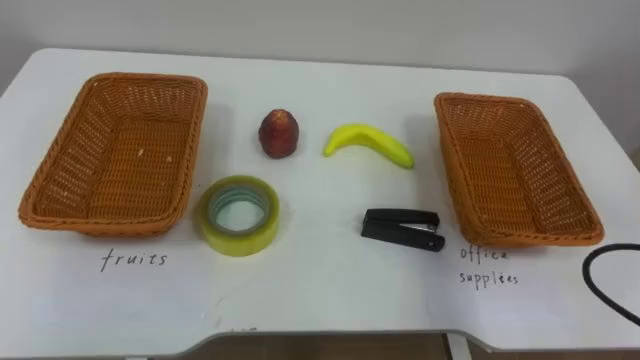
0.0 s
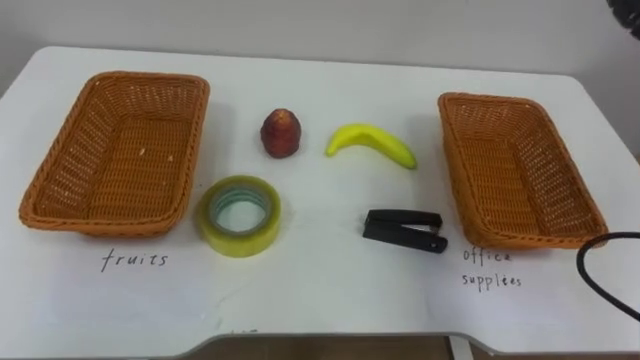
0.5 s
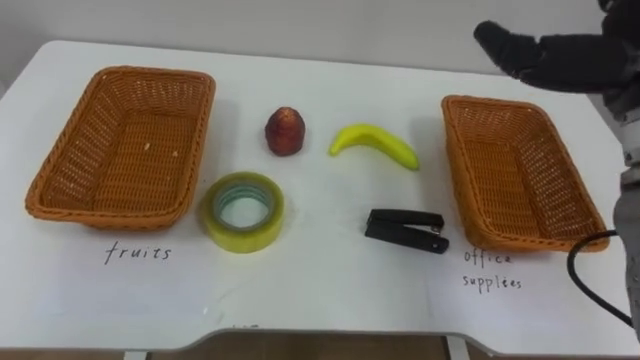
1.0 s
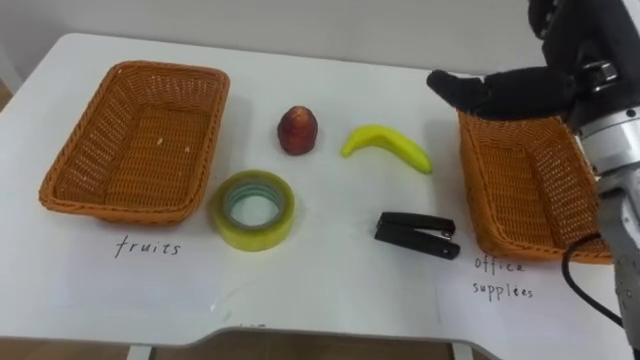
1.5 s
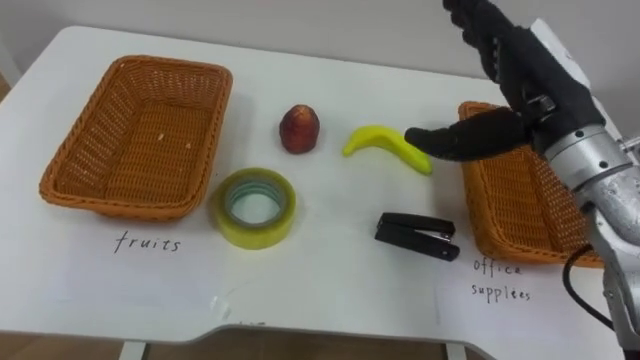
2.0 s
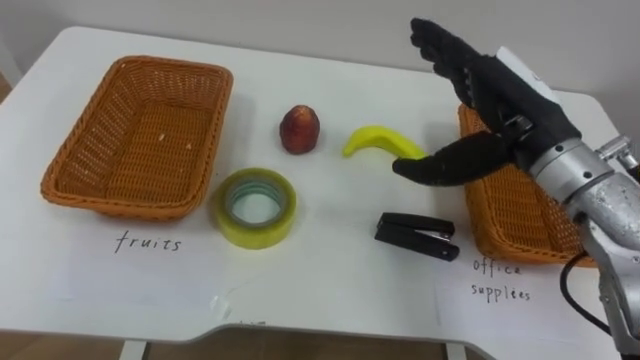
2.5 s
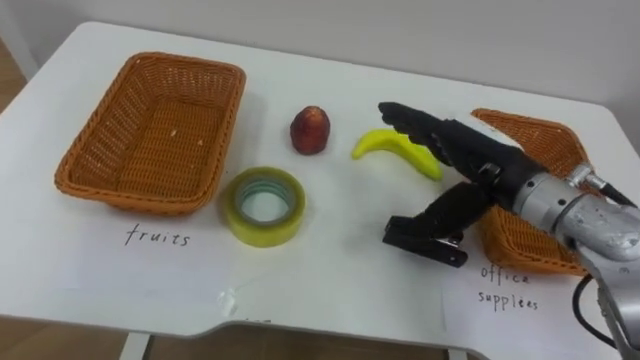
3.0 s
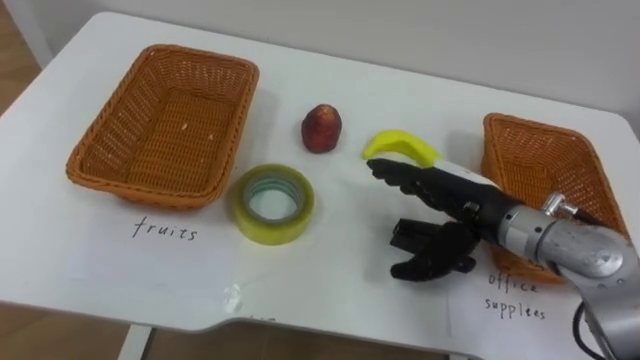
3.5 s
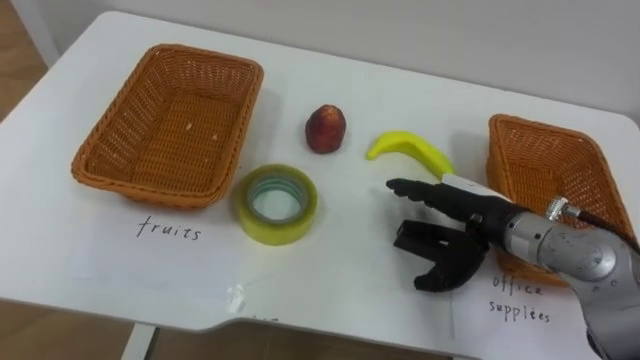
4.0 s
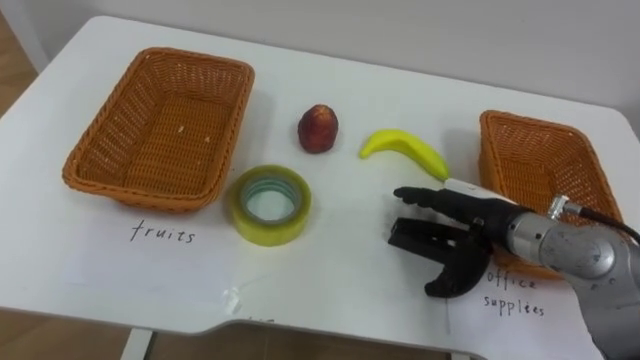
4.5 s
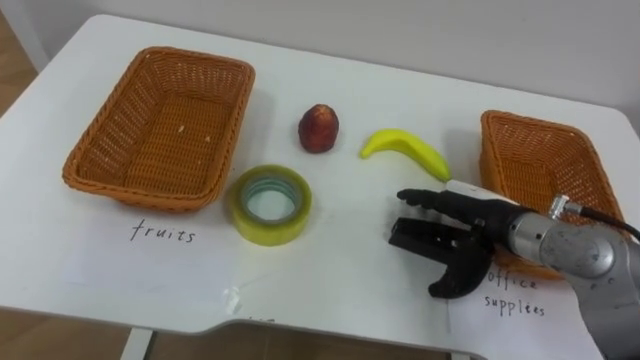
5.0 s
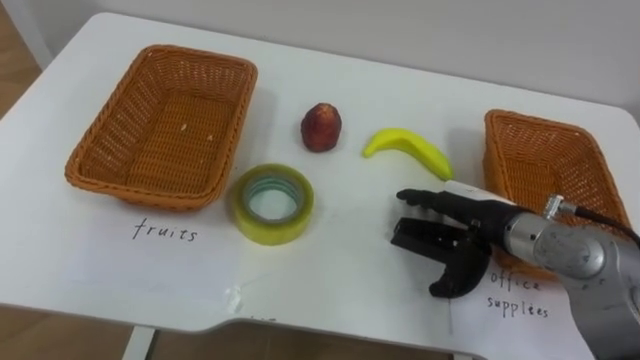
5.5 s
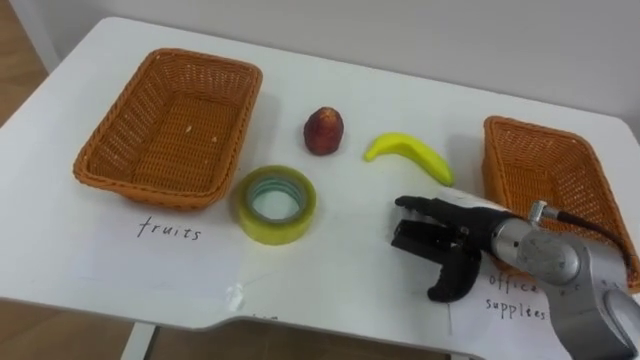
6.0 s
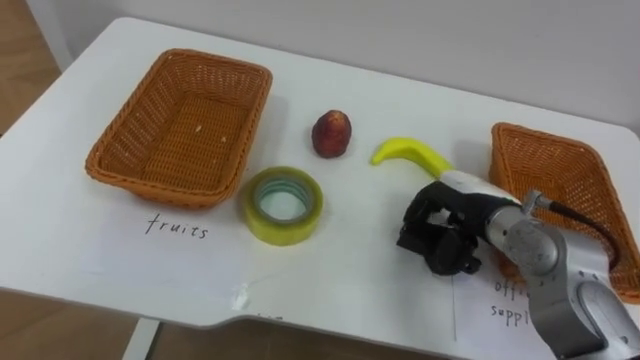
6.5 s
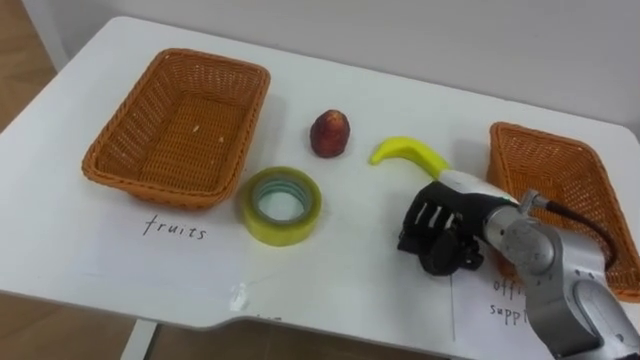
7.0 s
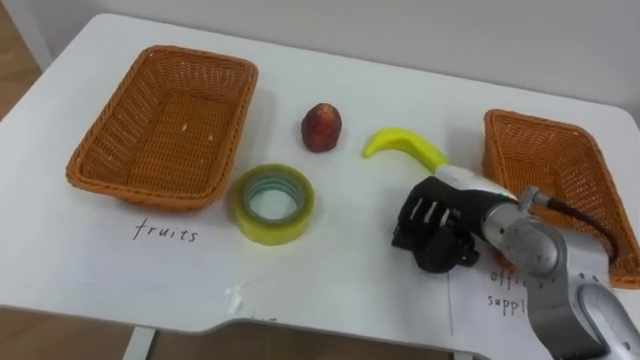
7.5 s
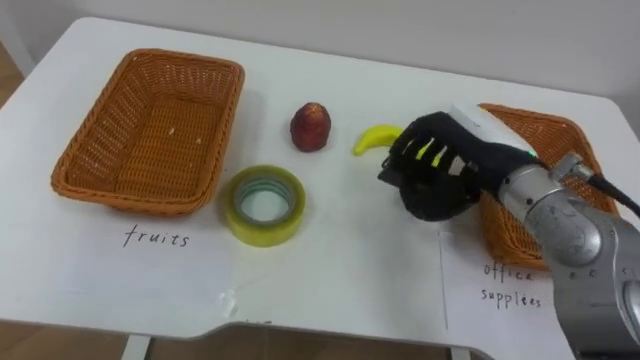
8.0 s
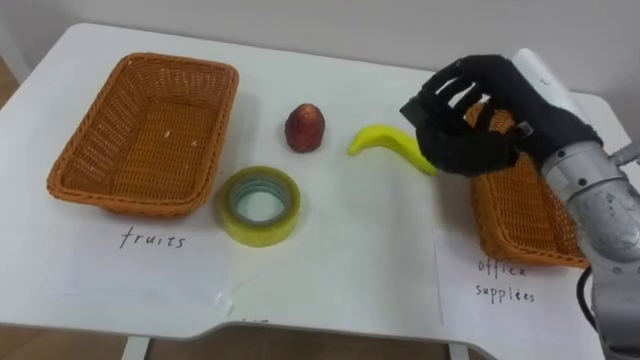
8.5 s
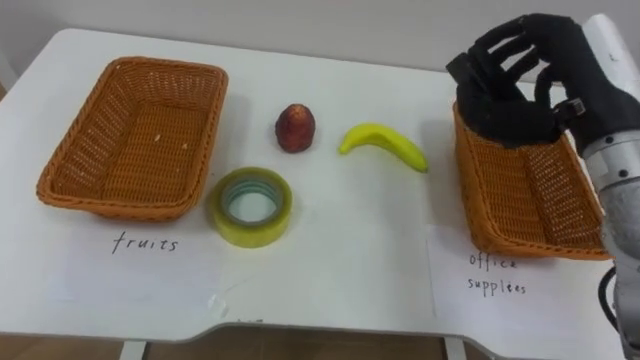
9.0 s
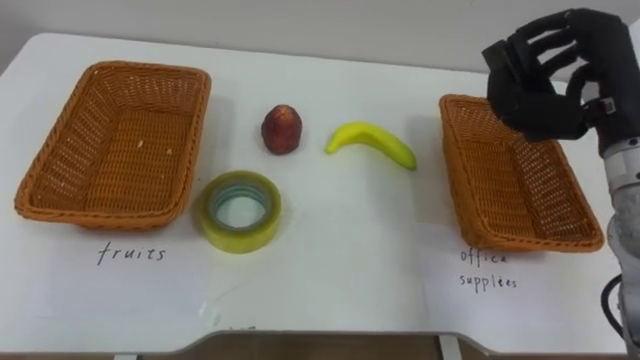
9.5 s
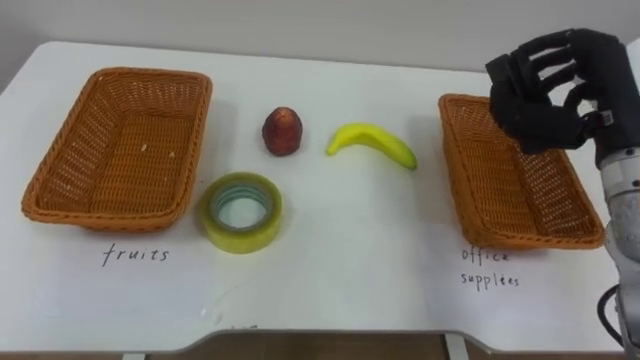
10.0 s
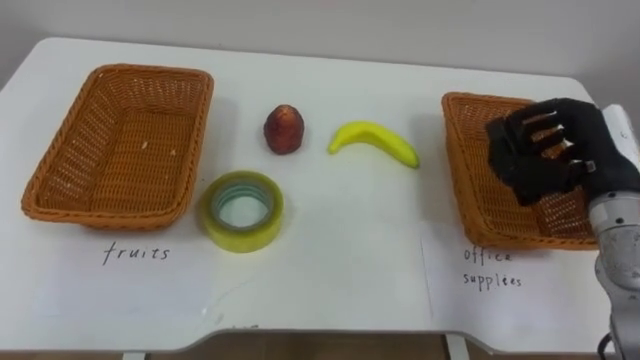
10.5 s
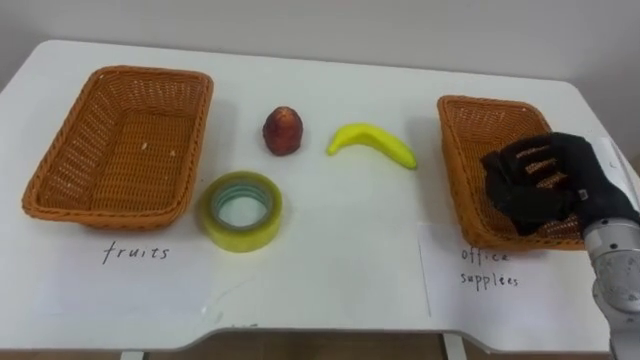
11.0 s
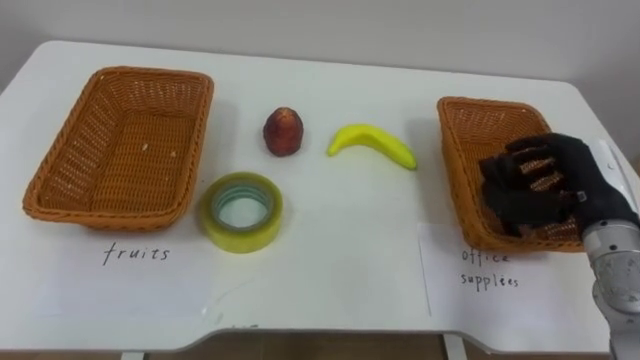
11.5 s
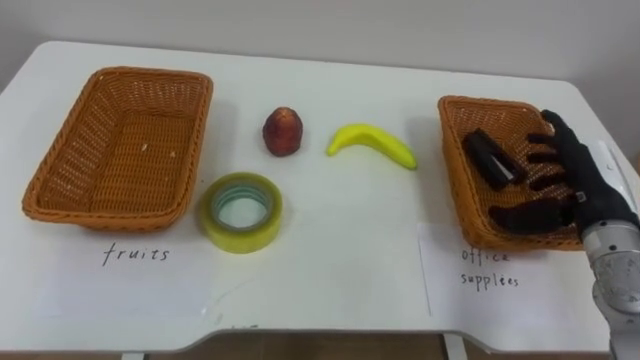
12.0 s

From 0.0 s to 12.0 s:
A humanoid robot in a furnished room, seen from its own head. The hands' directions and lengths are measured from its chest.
Task of the whole recording: Separate the items on the table and place them into the two baskets.
From 2.0 s to 4.0 s: The right hand is displaced downward by roughly 15 cm.
From 6.0 s to 8.0 s: The right hand travels upward by approximately 10 cm, and closes its fingers.
From 8.0 s to 10.0 s: The right hand is displaced to the right and upward by roughly 10 cm.
From 10.0 s to 12.0 s: The right hand goes some 10 cm downward, and opens its fingers.

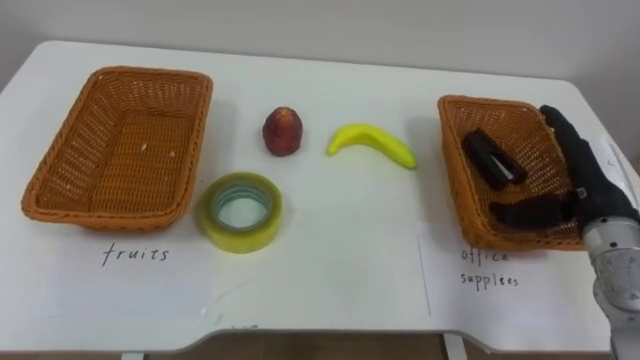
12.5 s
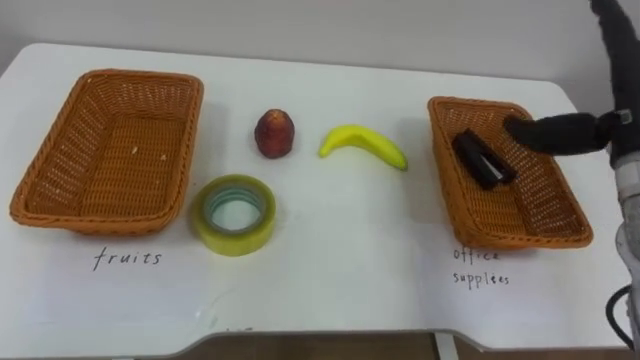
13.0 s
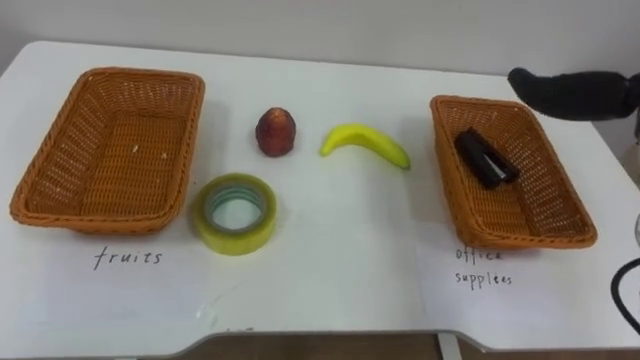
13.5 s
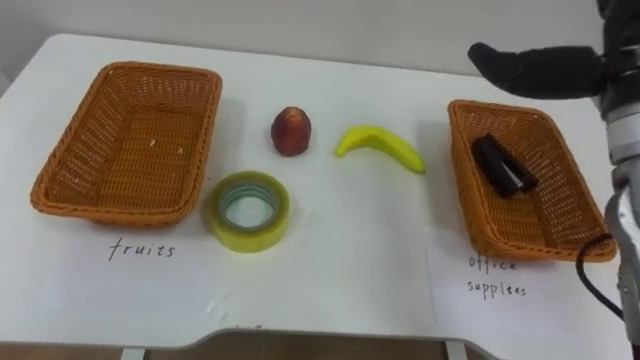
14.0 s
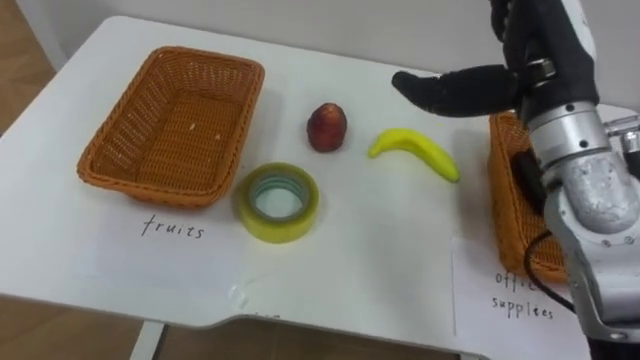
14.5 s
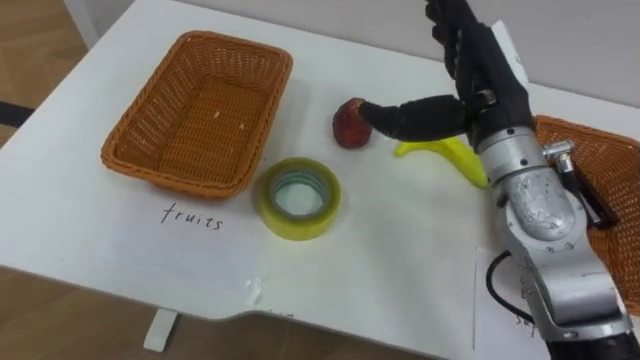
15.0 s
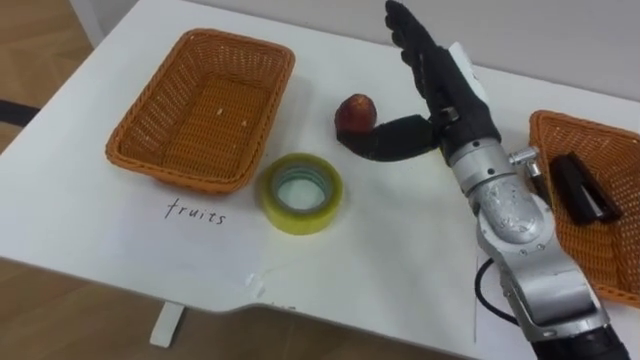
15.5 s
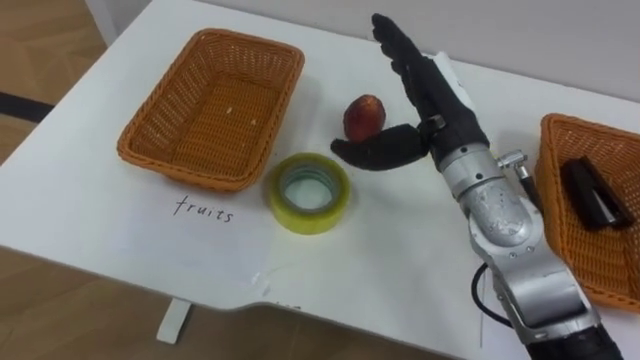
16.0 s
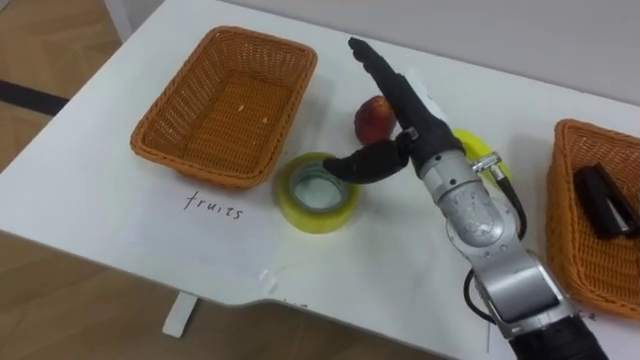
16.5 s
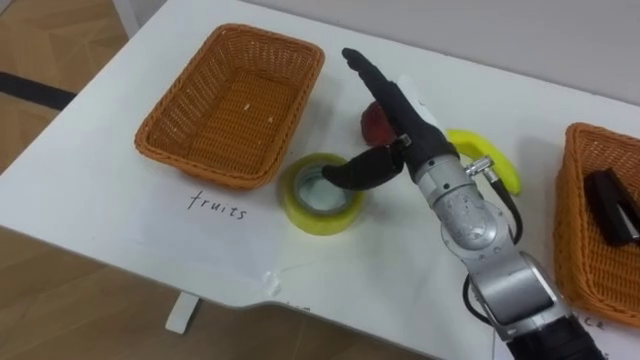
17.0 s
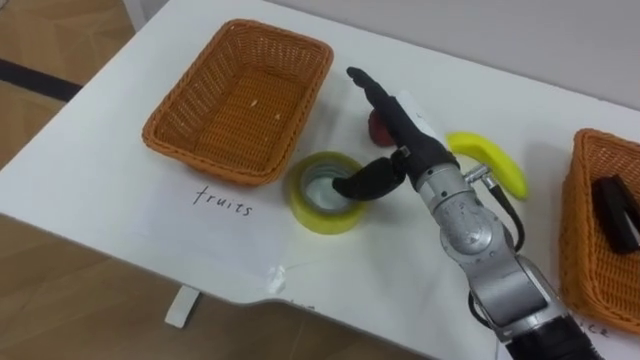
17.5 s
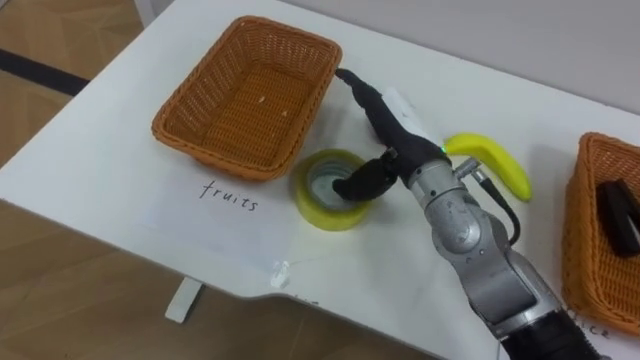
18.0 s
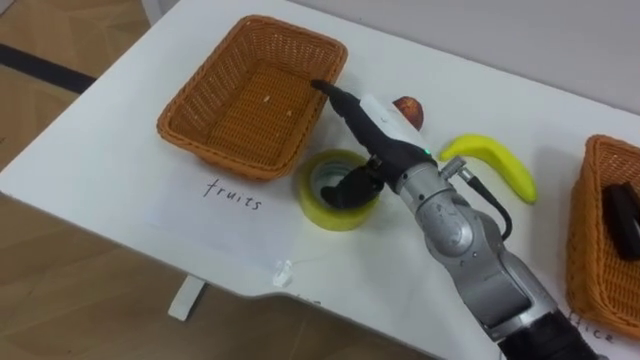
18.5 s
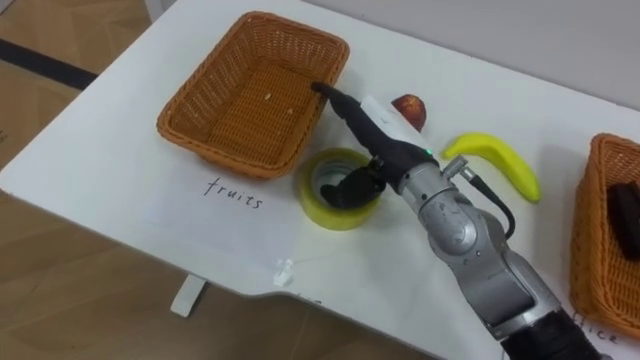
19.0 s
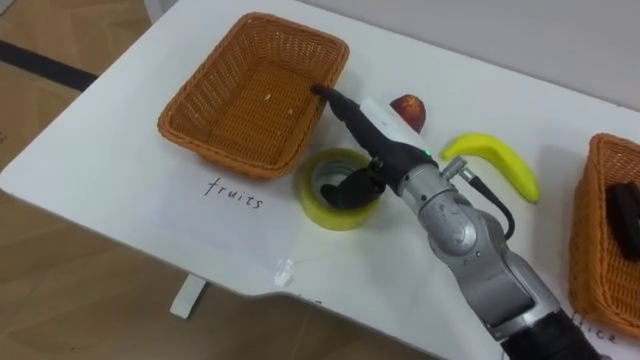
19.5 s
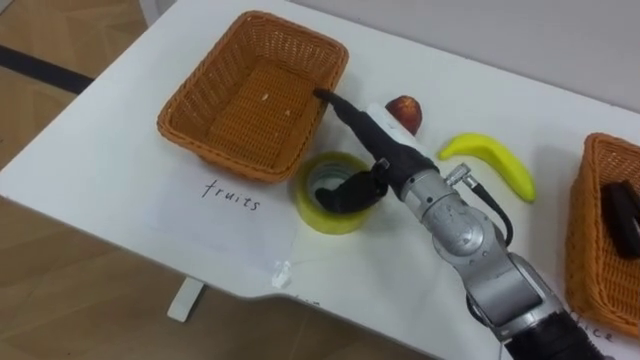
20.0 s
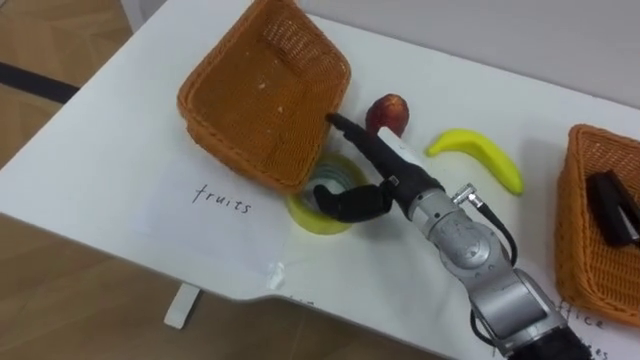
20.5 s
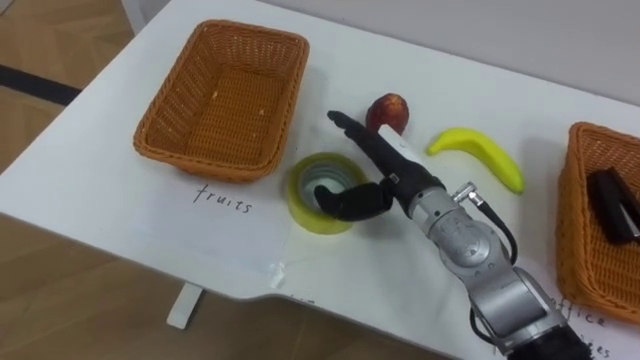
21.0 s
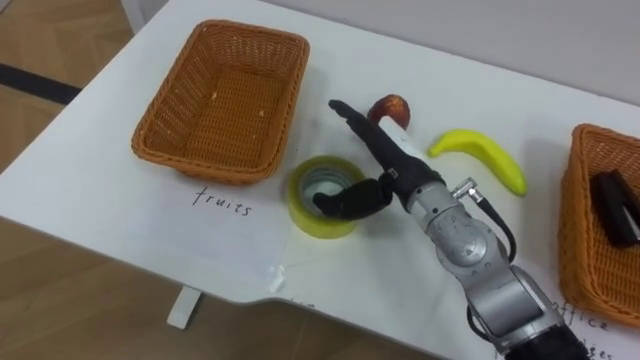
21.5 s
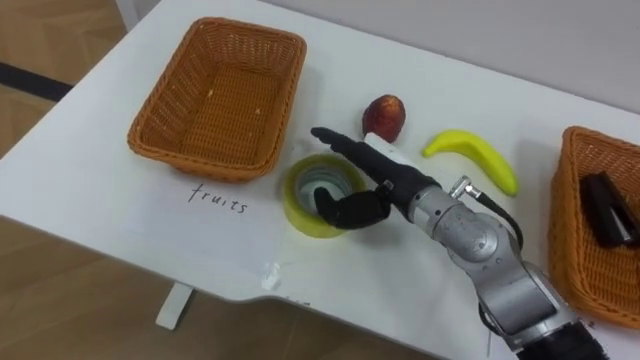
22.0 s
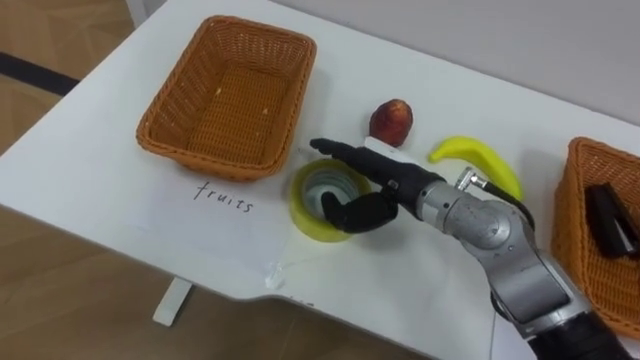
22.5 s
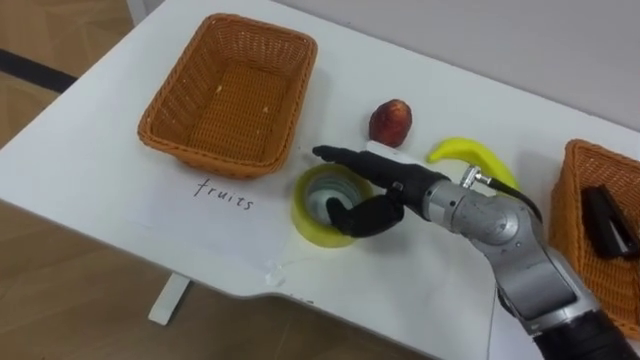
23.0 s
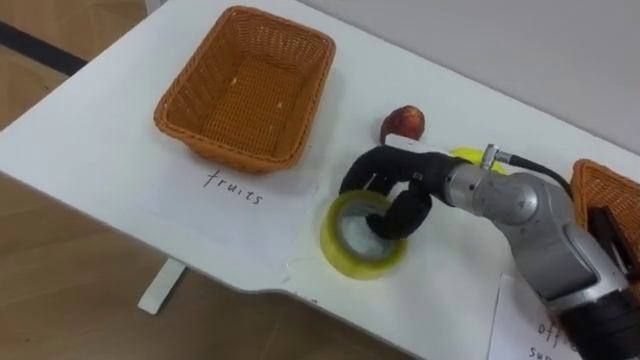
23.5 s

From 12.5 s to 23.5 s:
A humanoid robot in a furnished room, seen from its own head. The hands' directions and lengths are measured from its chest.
Task of the whole recording: Separate the items on the table and place them into the two baskets.
From 14.5 s to 16.0 s: The right hand goes some 10 cm downward and to the left.
From 16.0 s to 18.0 s: The right hand changes place by some 5 cm.
From 21.5 s to 23.5 s: The right hand closes up.
